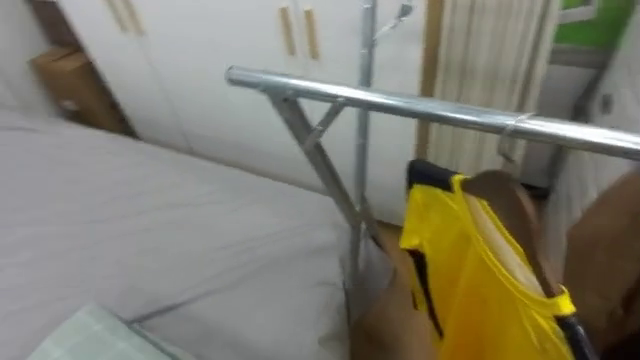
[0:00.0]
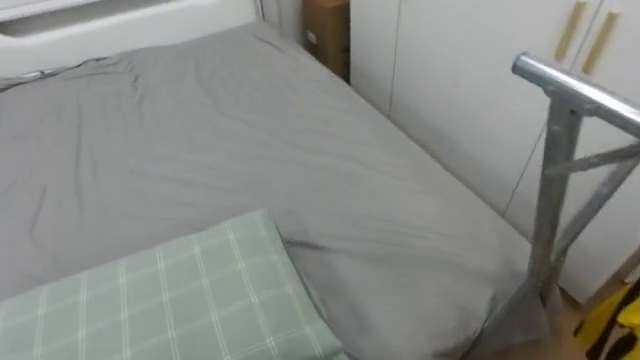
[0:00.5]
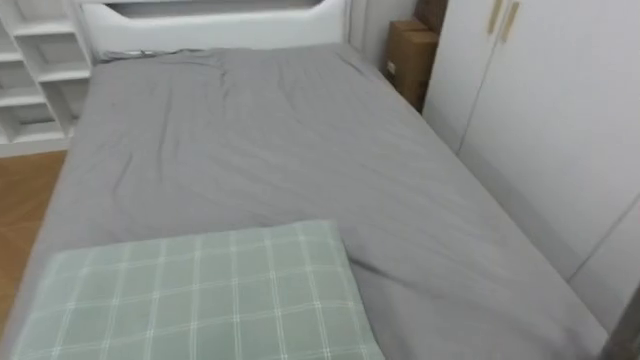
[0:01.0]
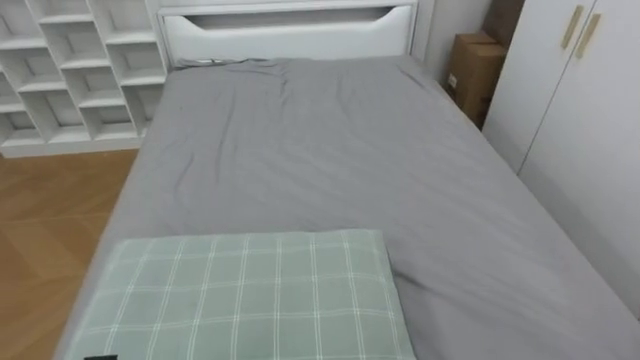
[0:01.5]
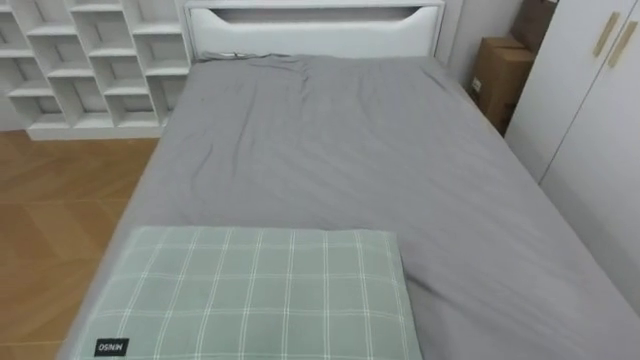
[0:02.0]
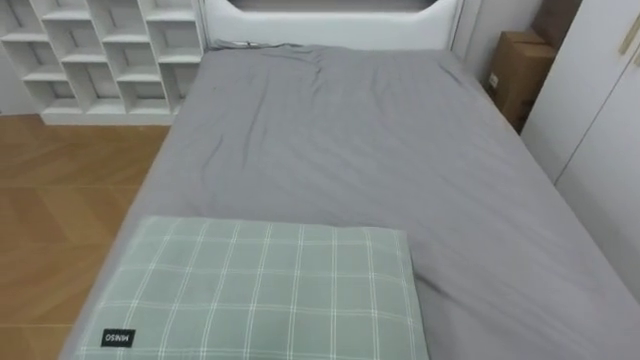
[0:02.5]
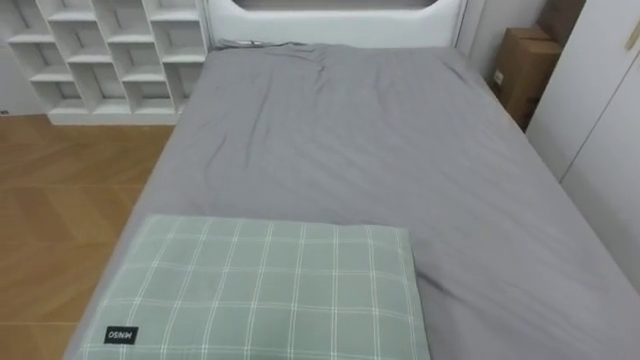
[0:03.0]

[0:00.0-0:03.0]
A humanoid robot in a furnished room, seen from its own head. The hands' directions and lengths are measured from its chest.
Task of the whole recording: Pick up the yellow shirt on the bed and hang it on the clothes rack on the right.
0:00.0 to 0:01.5: The robot's body swings approximately 55 degrees to its left.

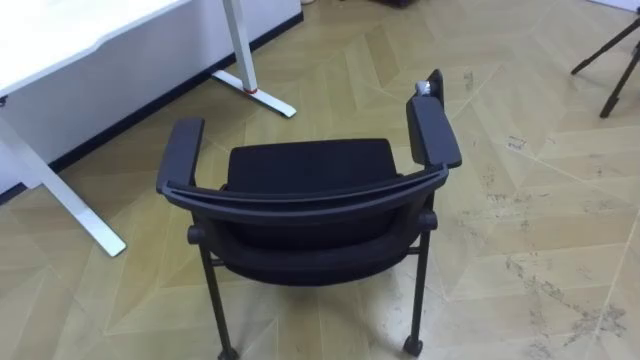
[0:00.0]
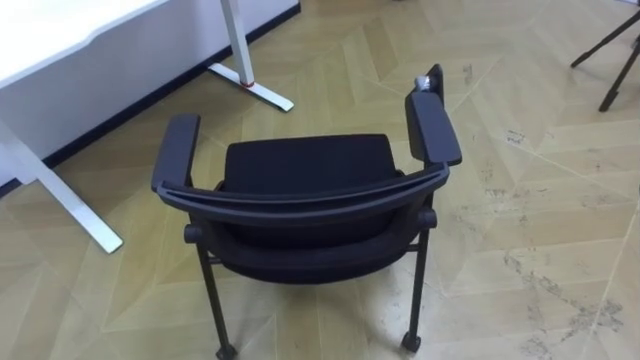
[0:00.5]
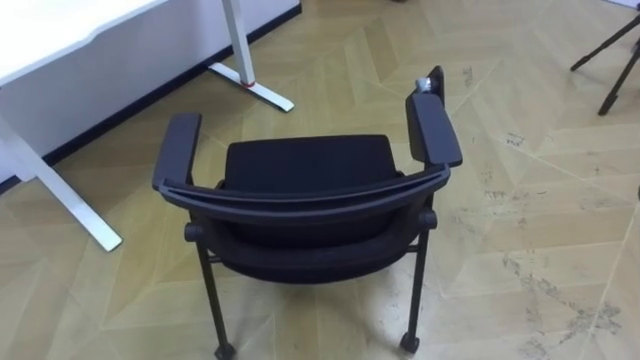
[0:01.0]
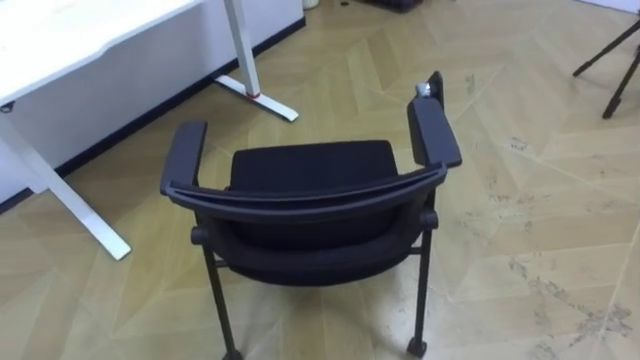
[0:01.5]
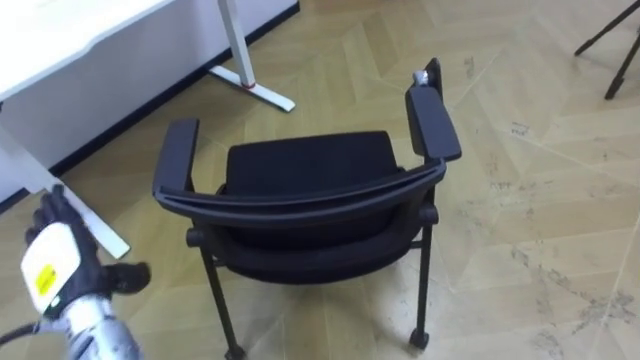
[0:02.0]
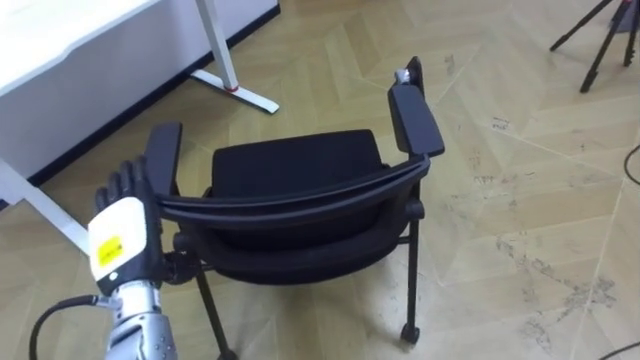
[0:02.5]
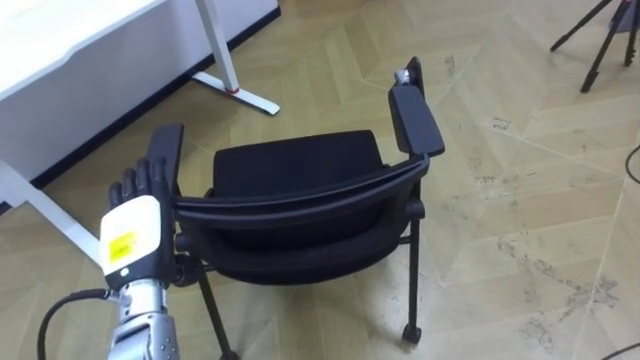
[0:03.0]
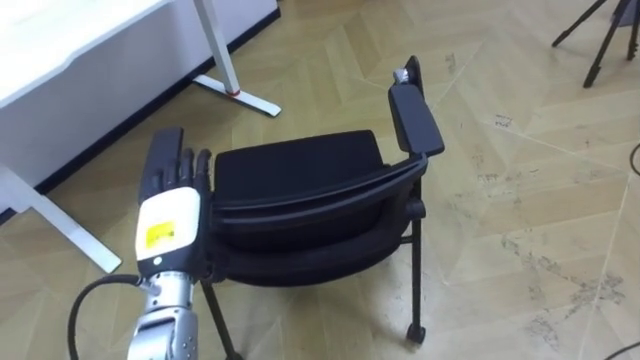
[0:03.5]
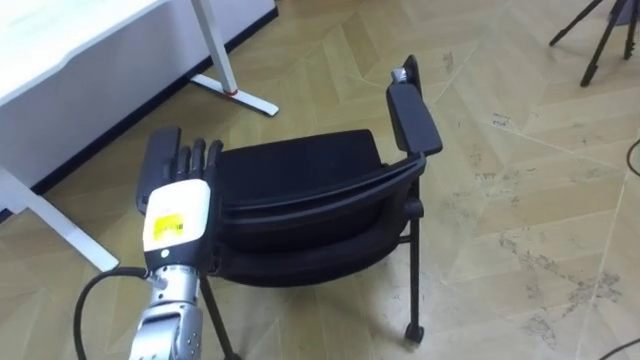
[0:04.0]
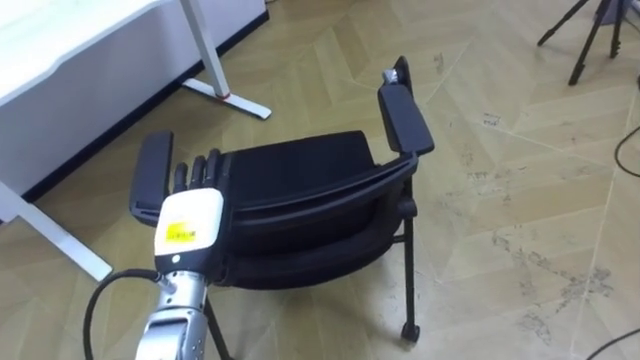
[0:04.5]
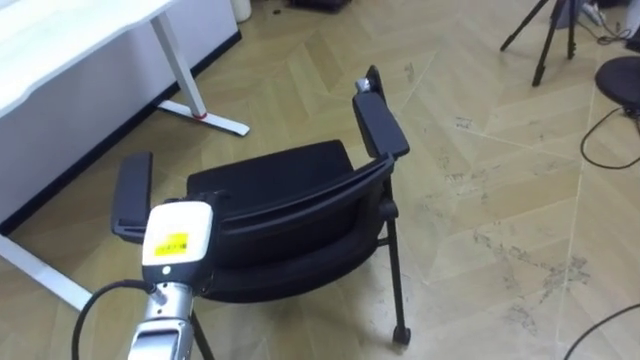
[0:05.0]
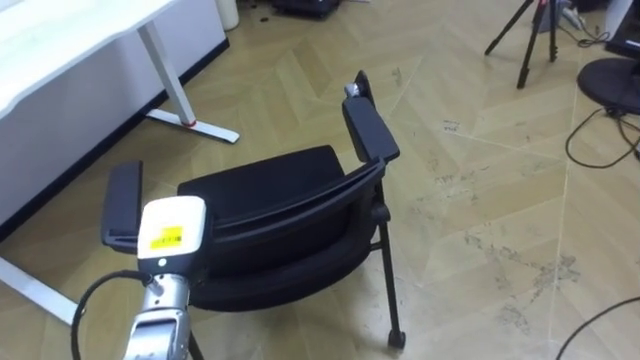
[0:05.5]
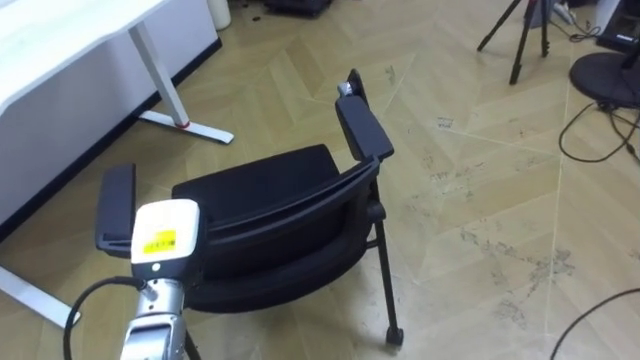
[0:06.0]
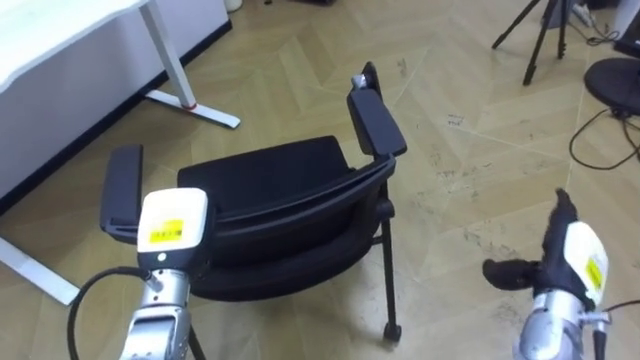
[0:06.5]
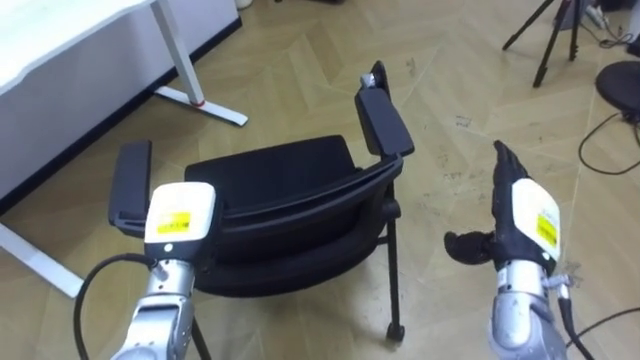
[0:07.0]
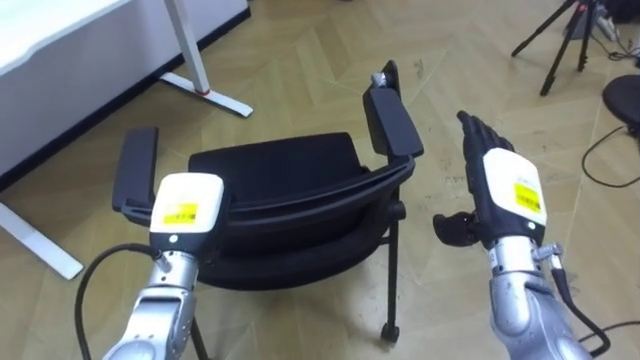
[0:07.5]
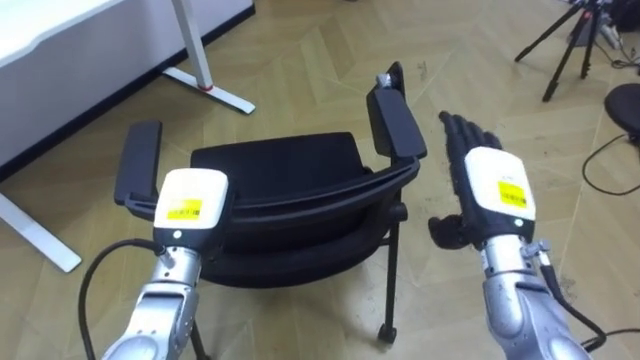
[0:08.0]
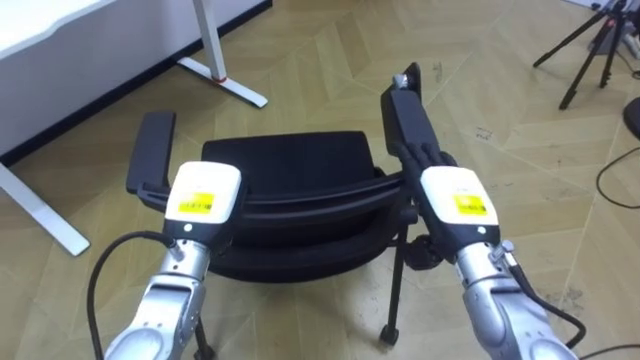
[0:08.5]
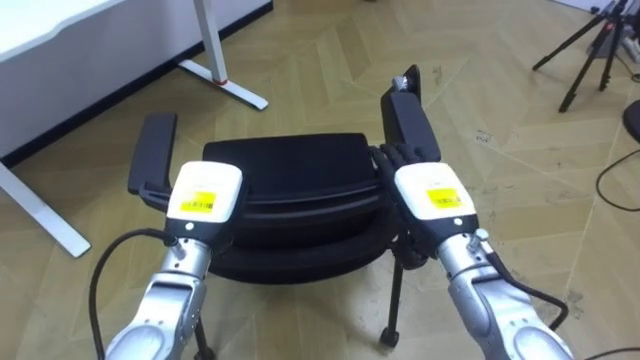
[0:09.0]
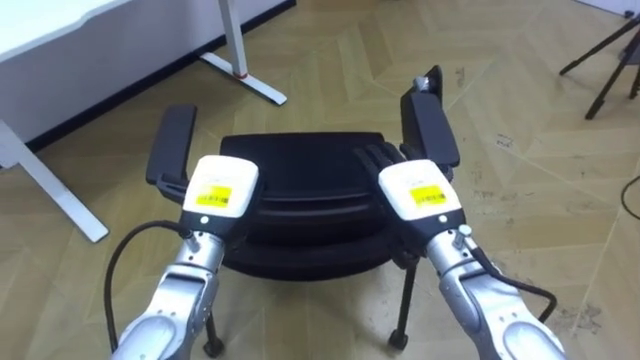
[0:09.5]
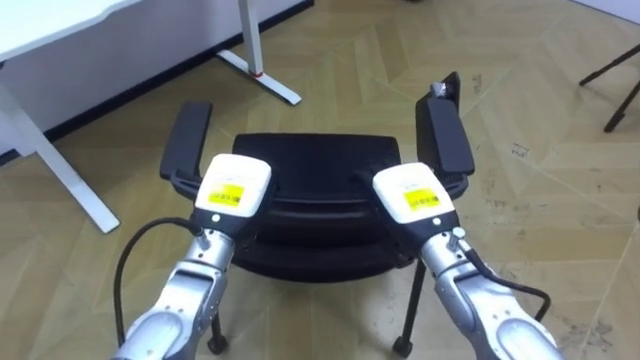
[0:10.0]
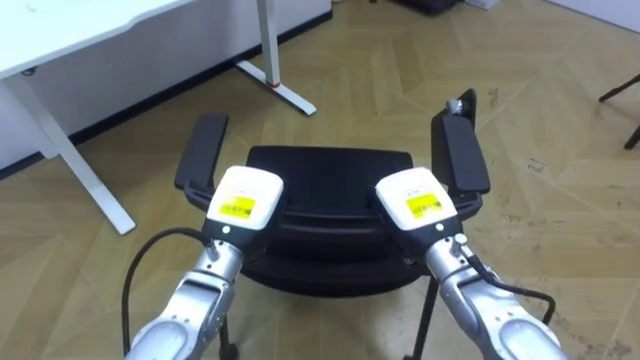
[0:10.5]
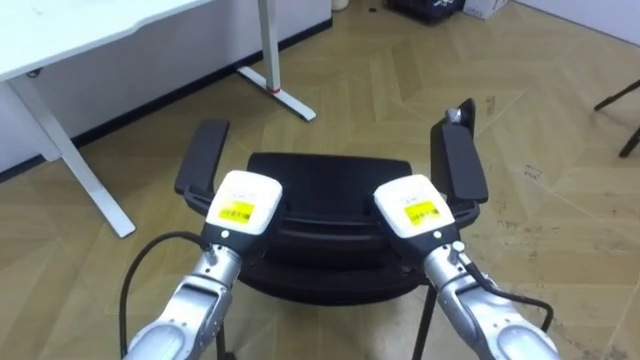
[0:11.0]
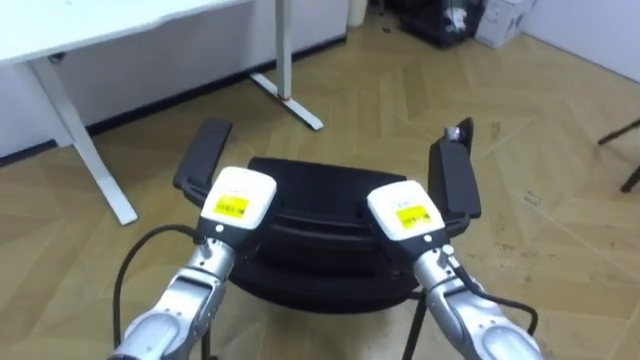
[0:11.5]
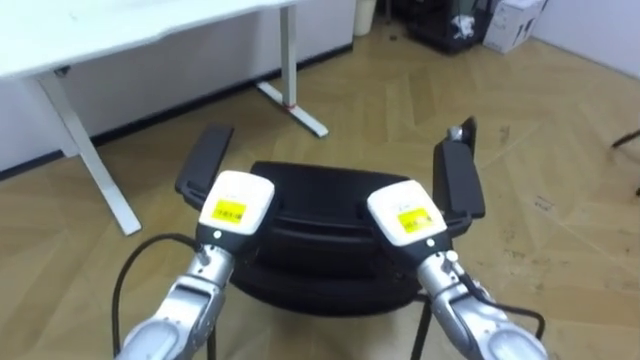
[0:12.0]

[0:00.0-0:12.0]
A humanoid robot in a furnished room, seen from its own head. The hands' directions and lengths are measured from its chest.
Task of the whole recording: Push the chair under the table.
0:02.0 to 0:04.0: The left hand moves to the right, approximately 15 cm.
0:04.0 to 0:06.0: The left hand closes up.
0:06.0 to 0:08.0: The left hand shifts by roughly 5 cm.
0:08.0 to 0:10.0: The left hand heads to the right, covering roughly 5 cm; the right hand shifts some 10 cm to the left.
0:10.0 to 0:12.0: The right hand closes.

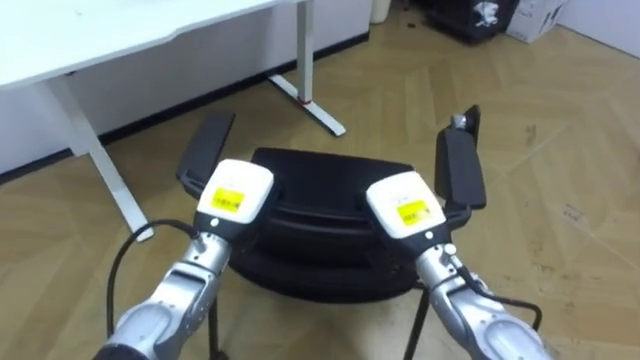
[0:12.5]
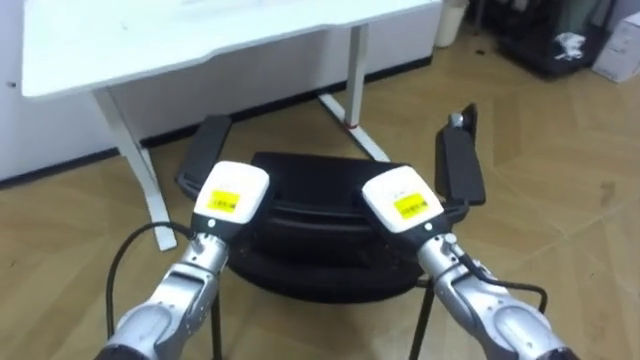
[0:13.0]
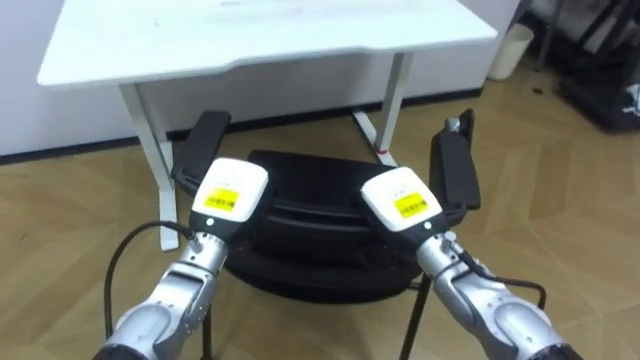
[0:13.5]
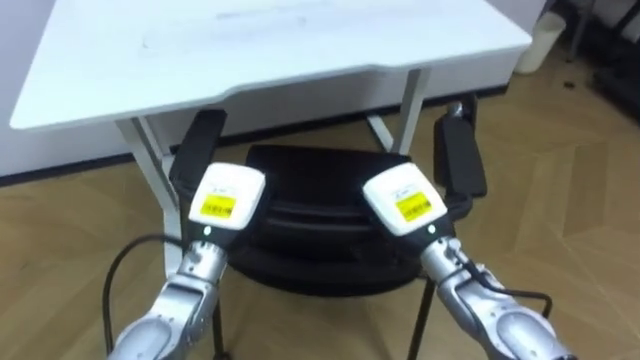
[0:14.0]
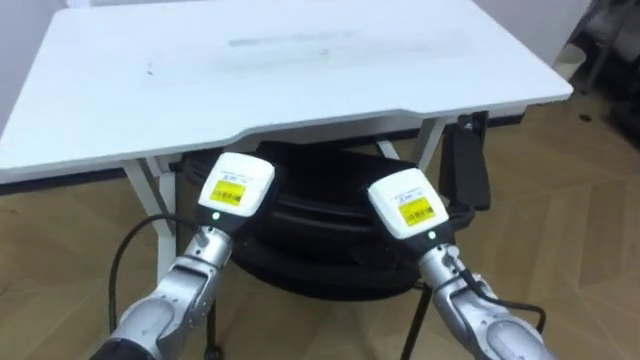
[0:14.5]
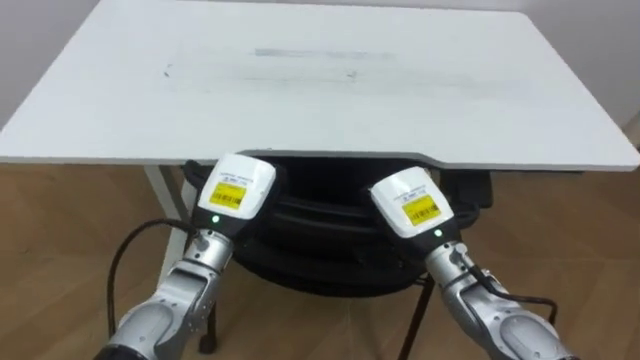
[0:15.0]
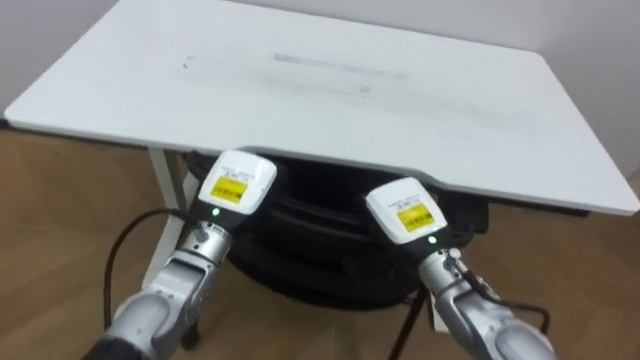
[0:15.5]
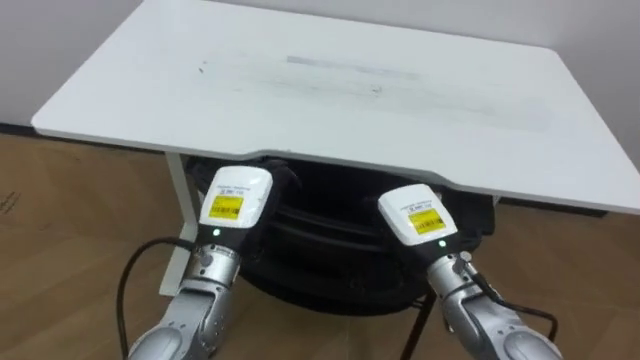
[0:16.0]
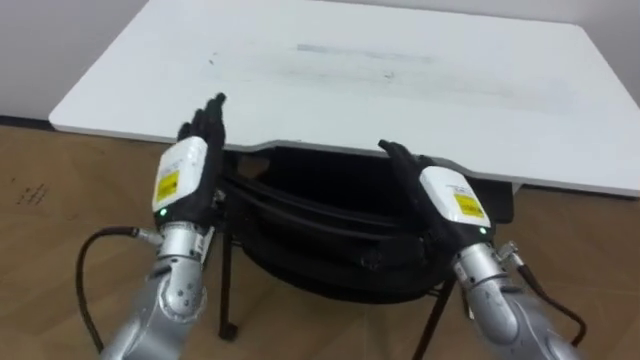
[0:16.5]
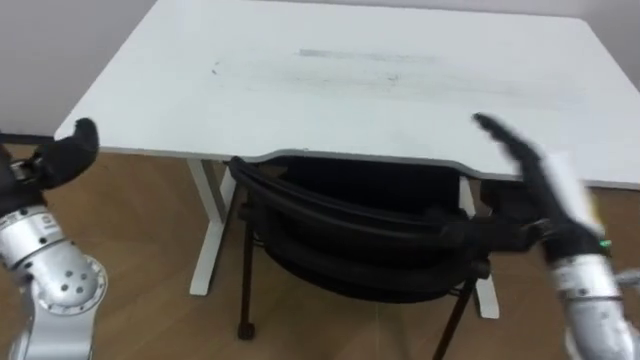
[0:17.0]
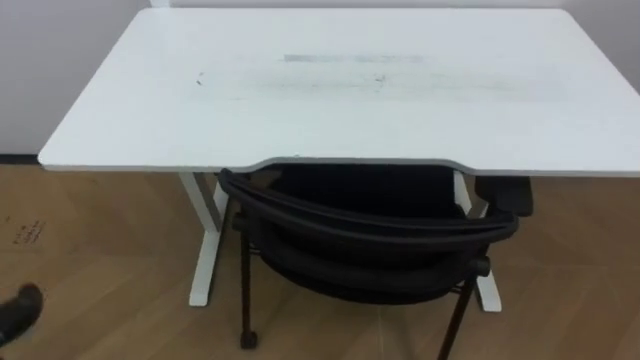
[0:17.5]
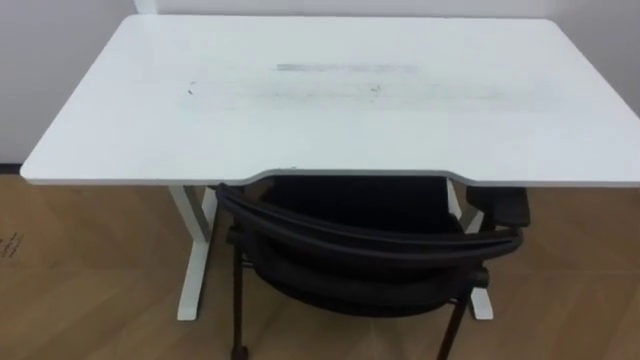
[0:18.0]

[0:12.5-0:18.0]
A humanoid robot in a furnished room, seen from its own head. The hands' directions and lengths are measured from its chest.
Task of the whole recording: Push the chair under the table.
0:12.5 to 0:14.5: The robot faces about 20 degrees further to its left.
0:14.5 to 0:16.0: The robot turns to its left by about 25 degrees. The right hand opens, while the left hand opens up.
